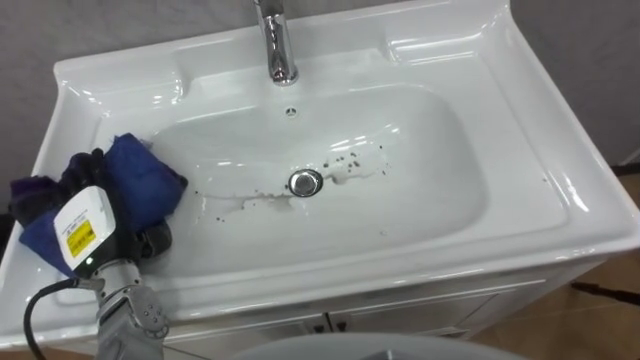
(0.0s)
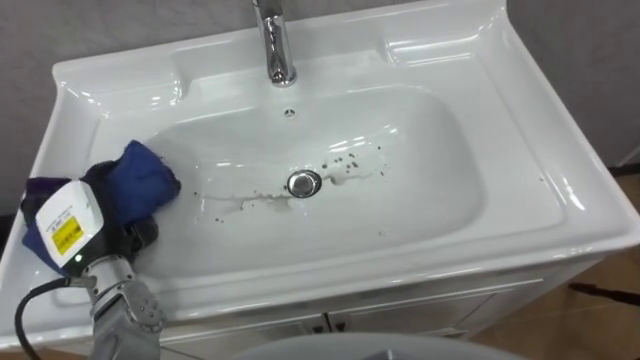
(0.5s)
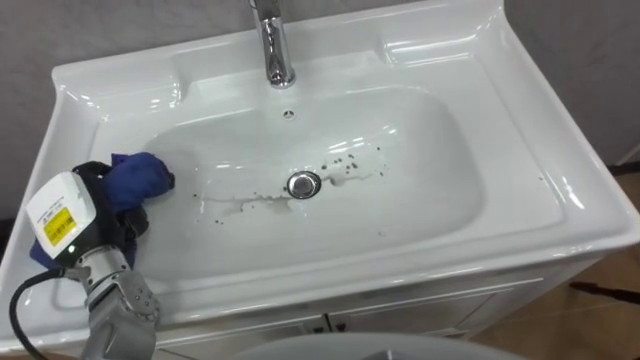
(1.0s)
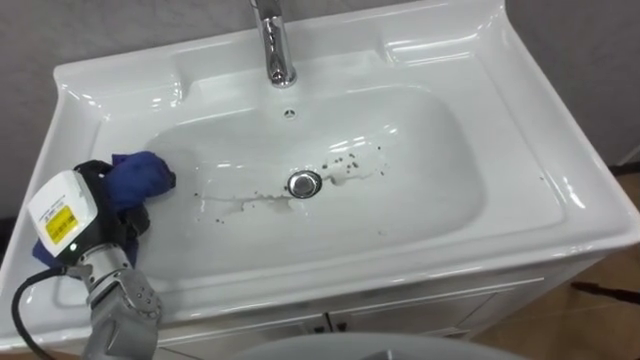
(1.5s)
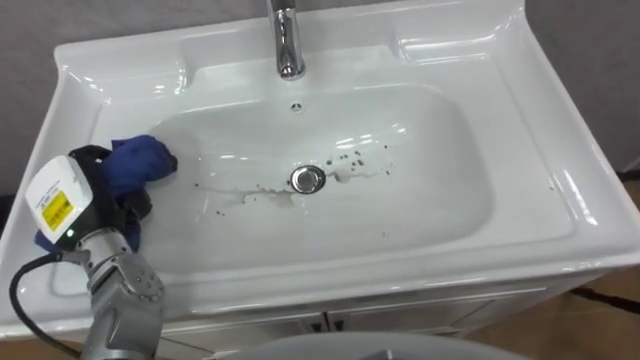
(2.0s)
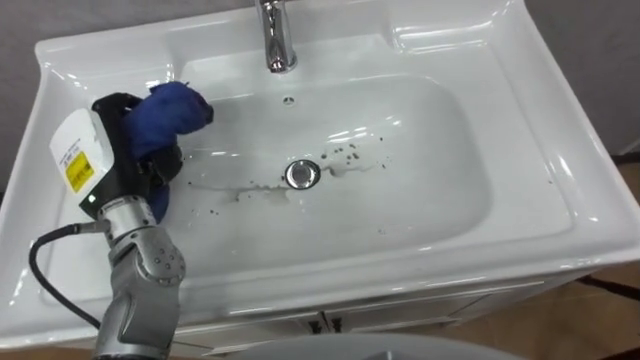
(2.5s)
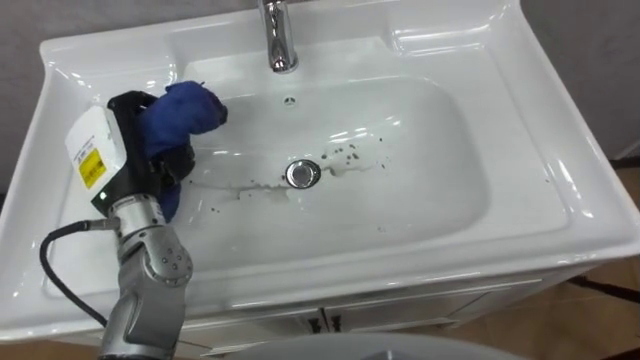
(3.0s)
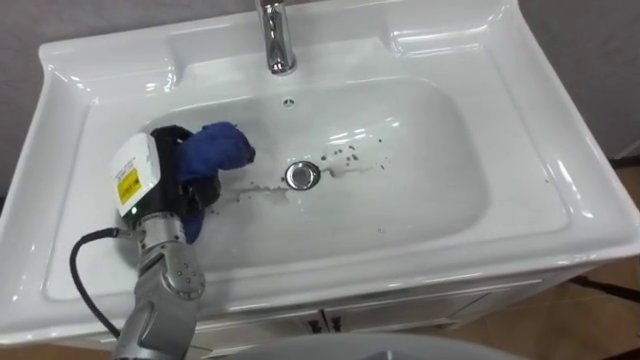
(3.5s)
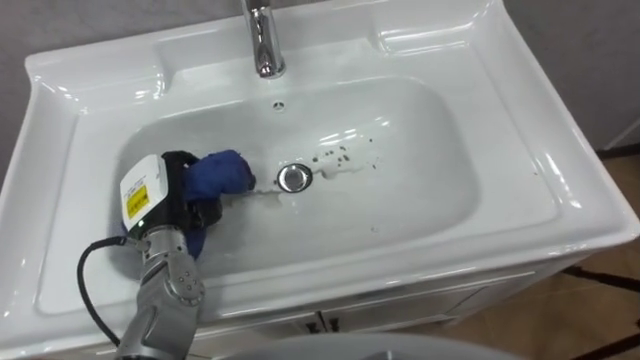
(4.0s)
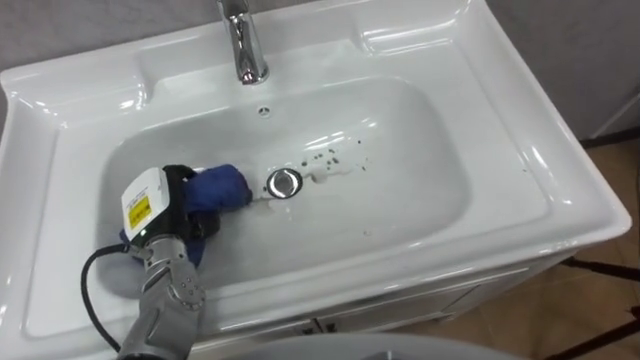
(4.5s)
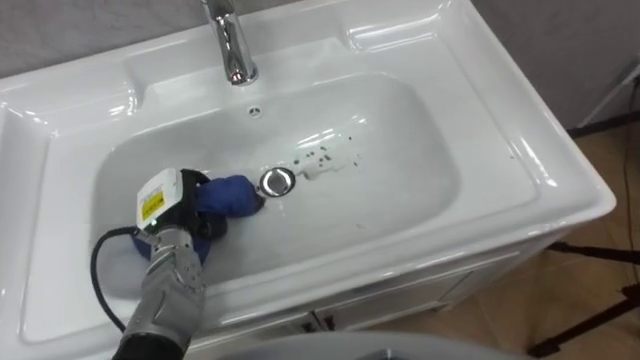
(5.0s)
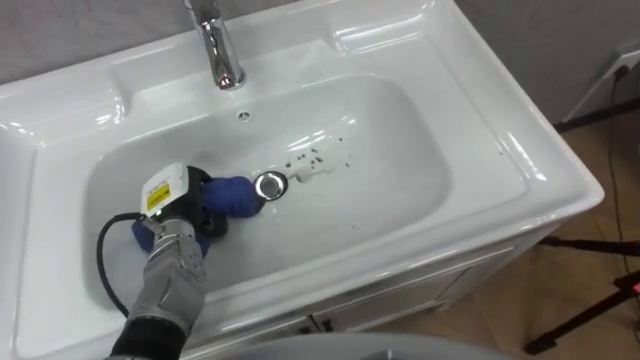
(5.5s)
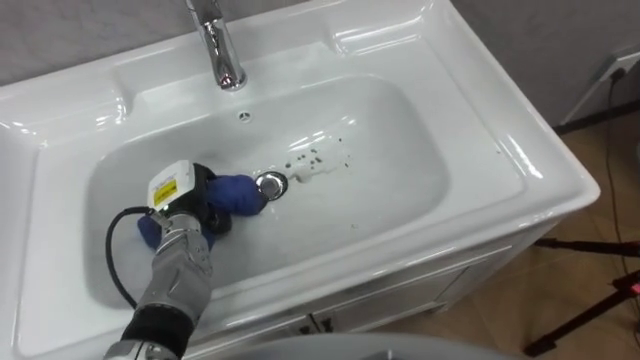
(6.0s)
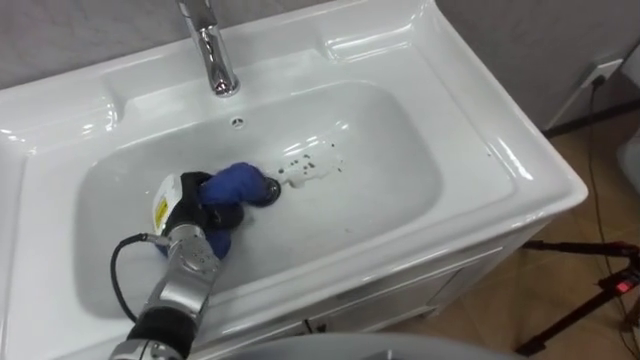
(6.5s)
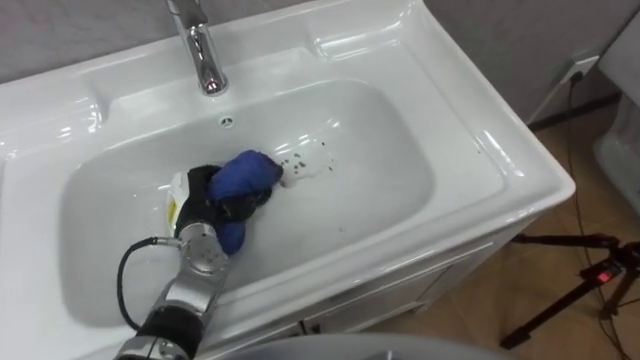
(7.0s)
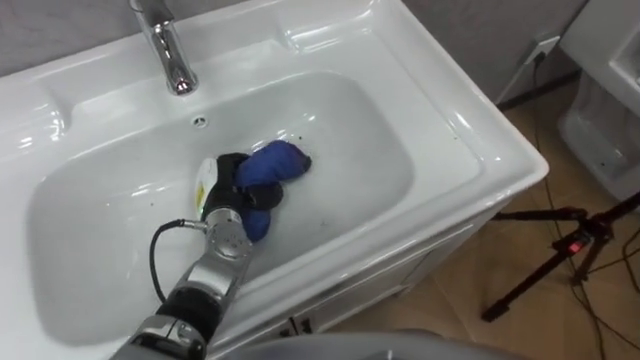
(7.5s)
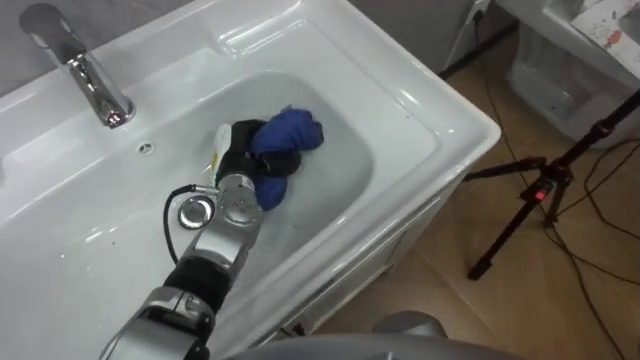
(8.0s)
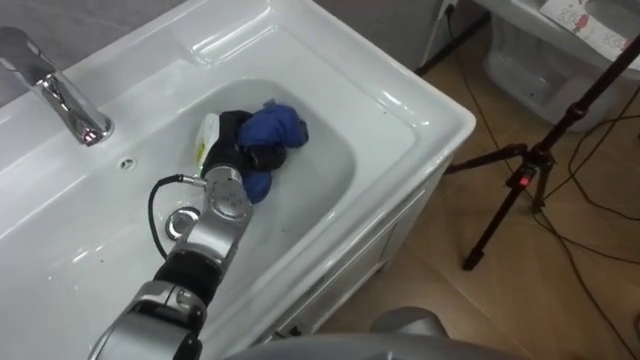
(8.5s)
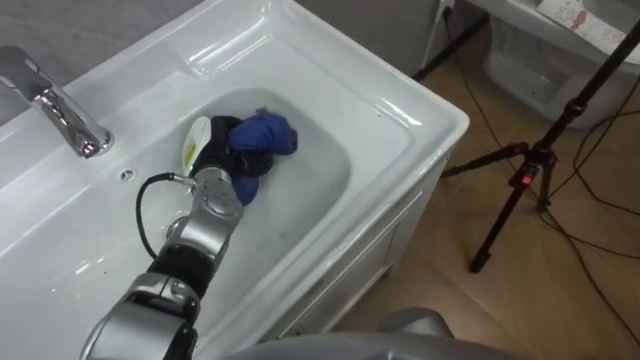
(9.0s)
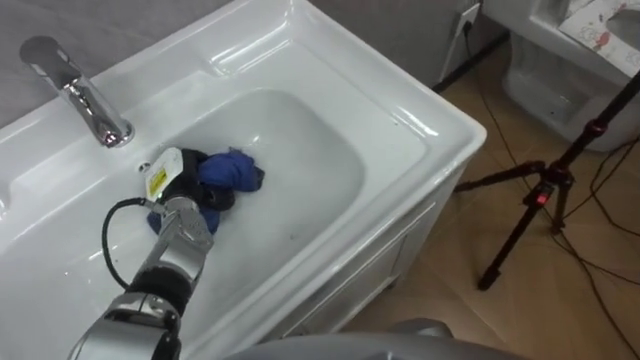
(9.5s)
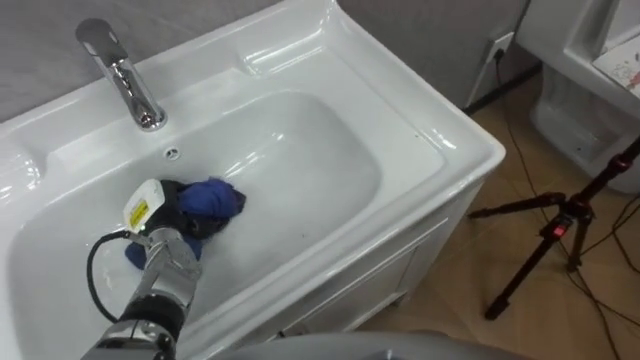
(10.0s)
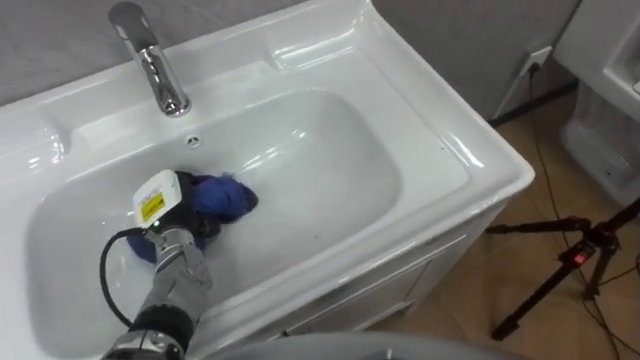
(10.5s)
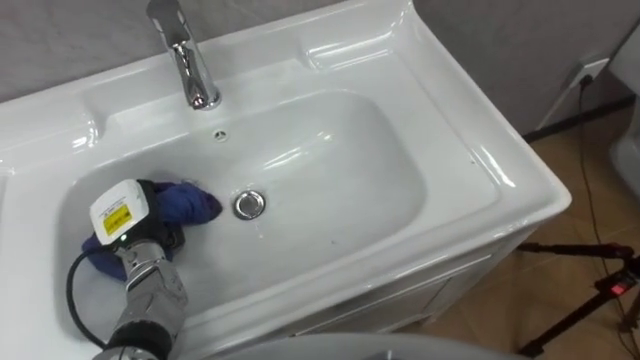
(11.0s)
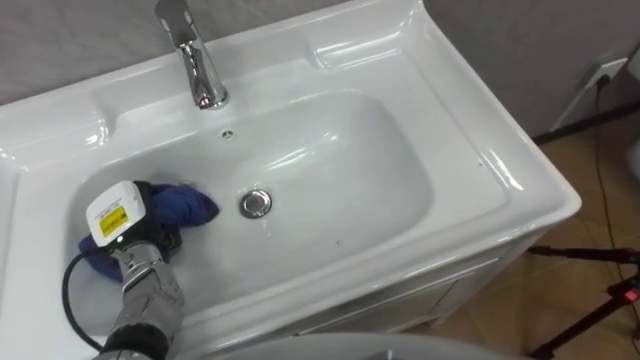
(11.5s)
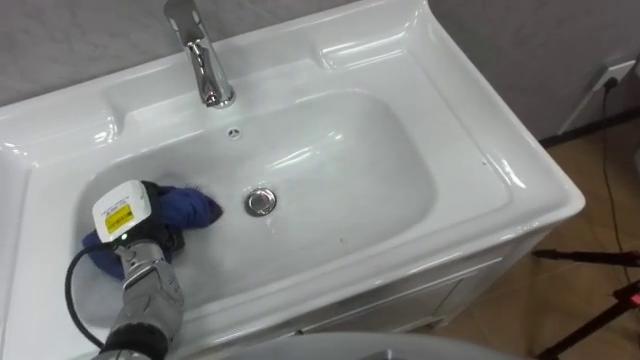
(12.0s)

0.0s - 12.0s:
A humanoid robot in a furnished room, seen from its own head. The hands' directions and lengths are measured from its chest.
Task of the whole recording: Use the cloth on the right to wipe away the black stain in the sink.
0.0s - 2.0s: The left hand moves some 5 cm, and closes.
2.0s - 4.0s: The left hand goes about 10 cm to the right.
4.0s - 6.0s: The left hand shifts roughly 5 cm downward.
6.0s - 8.0s: The left hand travels to the right and forward by some 10 cm.
8.0s - 10.0s: The left hand moves to the left and backward, about 15 cm.

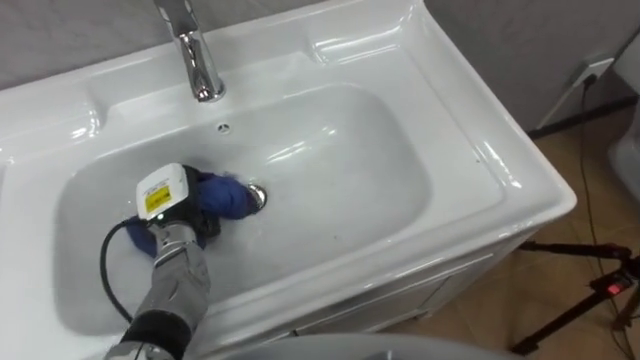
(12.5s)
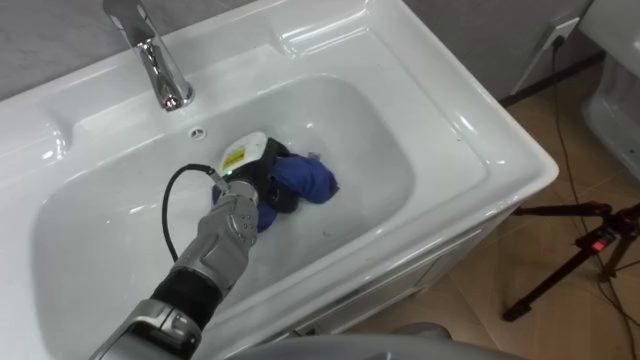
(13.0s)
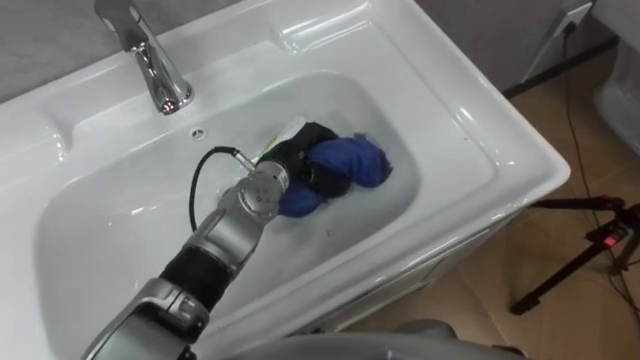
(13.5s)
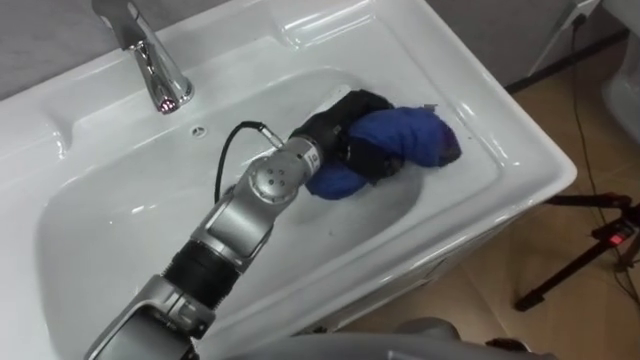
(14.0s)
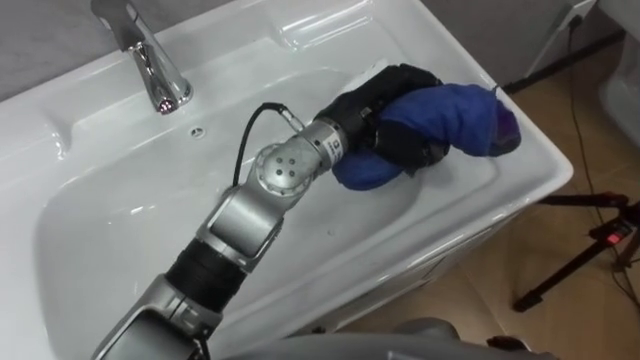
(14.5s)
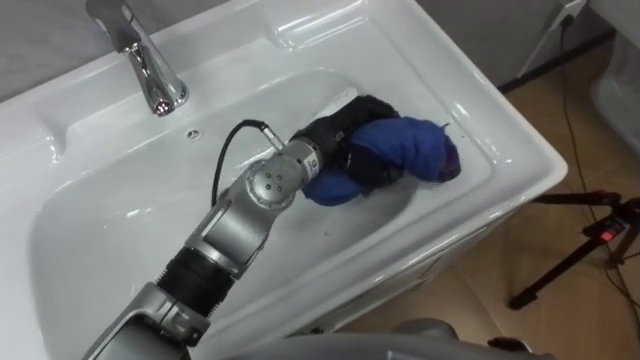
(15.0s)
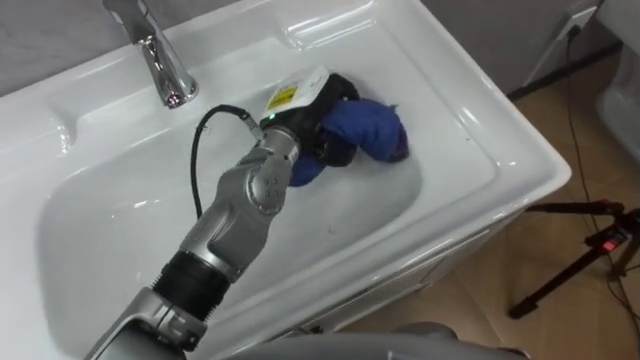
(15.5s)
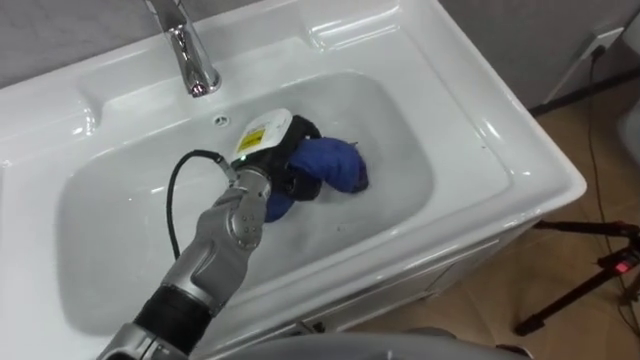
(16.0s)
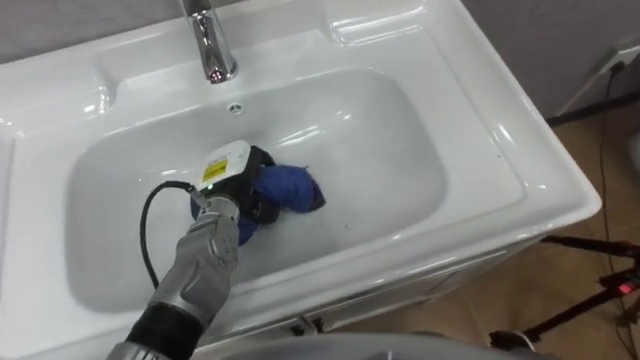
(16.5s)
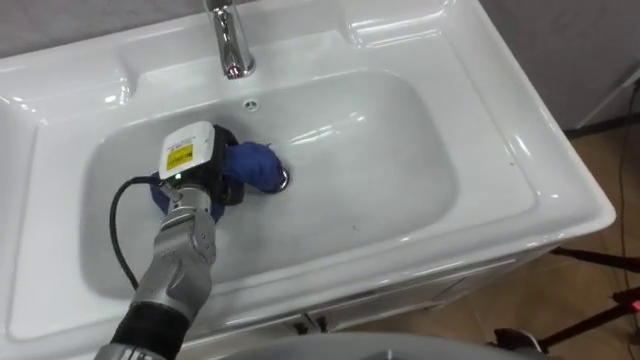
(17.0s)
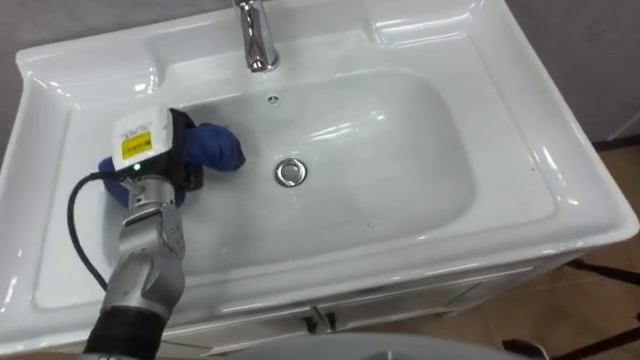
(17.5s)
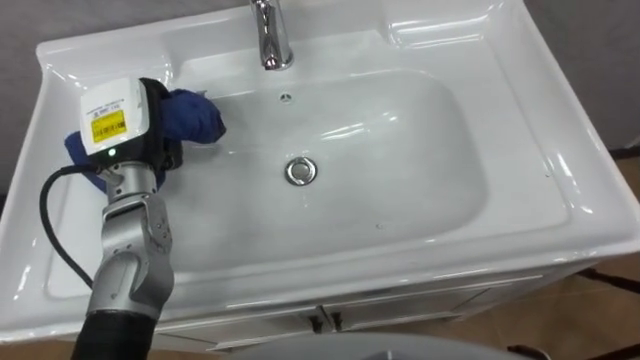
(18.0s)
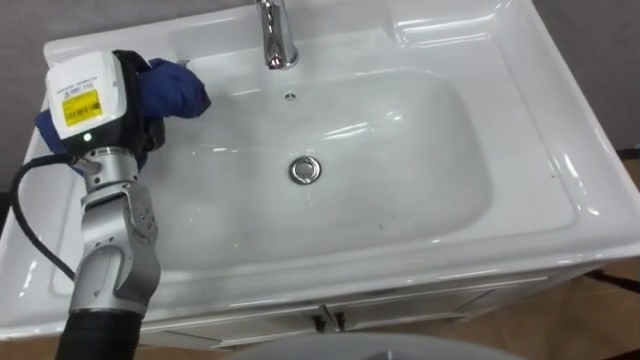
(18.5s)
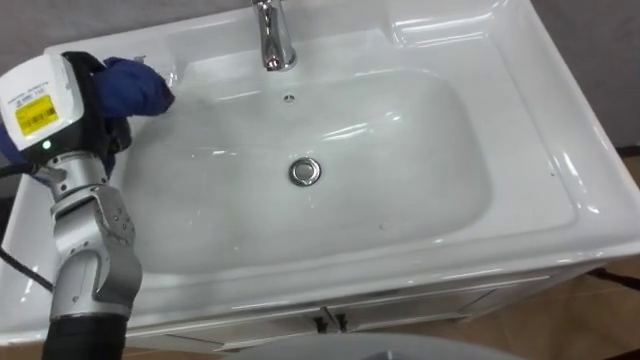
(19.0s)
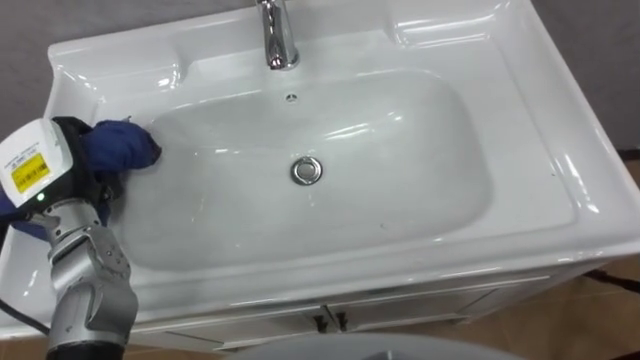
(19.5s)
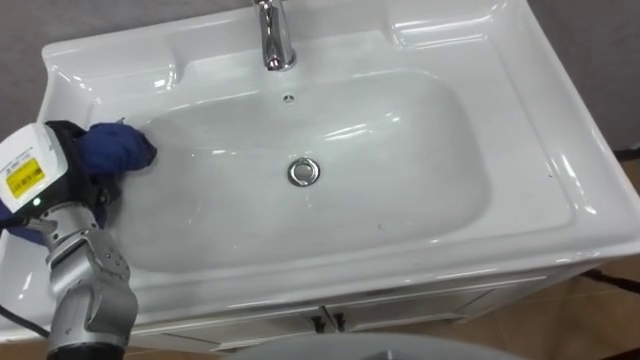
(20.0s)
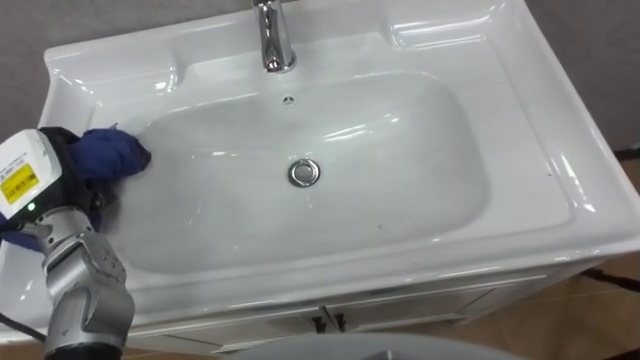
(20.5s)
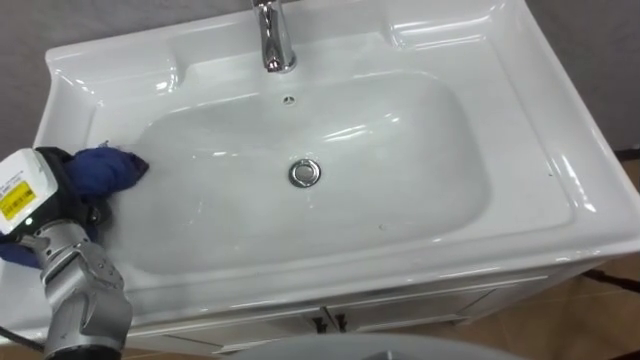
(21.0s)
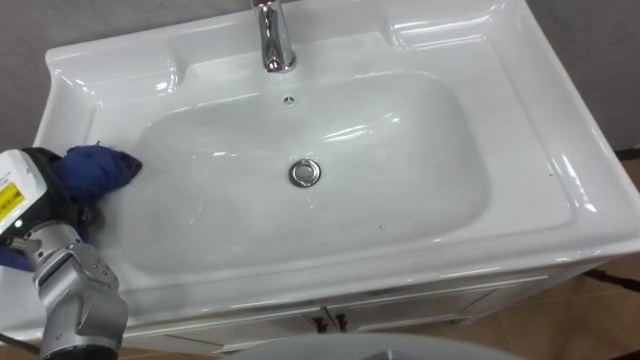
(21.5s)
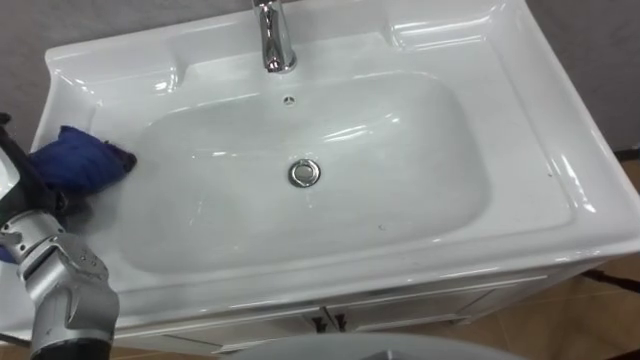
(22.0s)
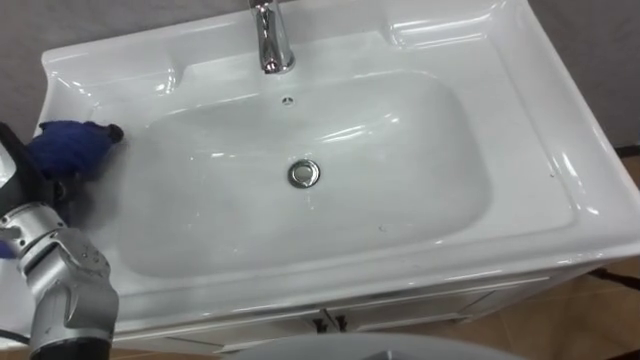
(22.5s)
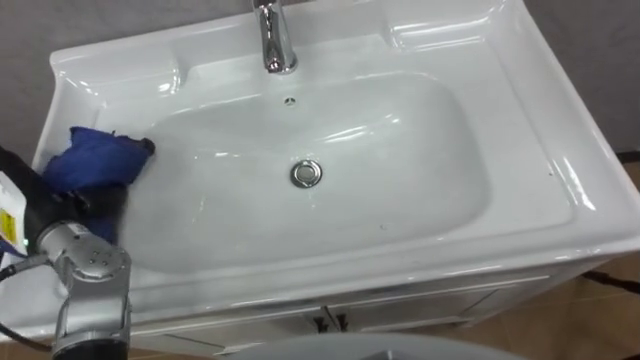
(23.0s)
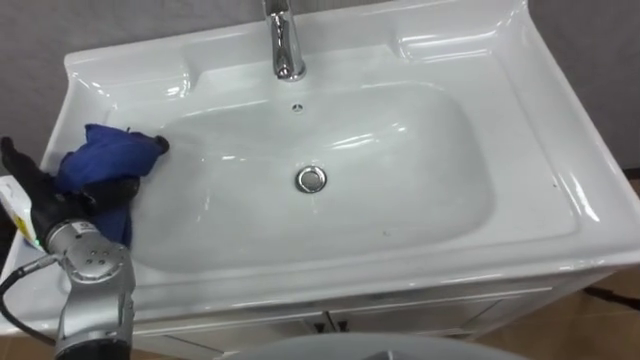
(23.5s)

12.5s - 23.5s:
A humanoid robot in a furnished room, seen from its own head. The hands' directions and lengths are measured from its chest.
Task of the whole recording: Use the cloth on the right to wipe away the black stain in the sink.
12.5s - 14.5s: The left hand moves to the right and upward, about 30 cm.
14.5s - 16.0s: The left hand moves to the left and downward, some 15 cm.
16.0s - 18.0s: The left hand travels to the left by approximately 15 cm.
18.0s - 20.0s: The left hand moves to the left and backward, about 10 cm.
